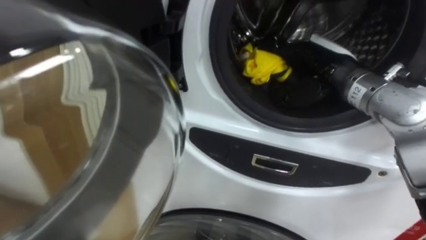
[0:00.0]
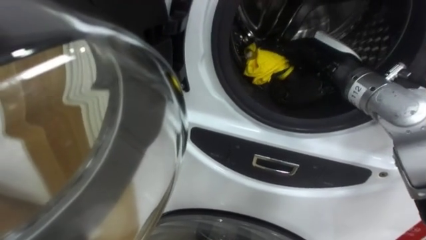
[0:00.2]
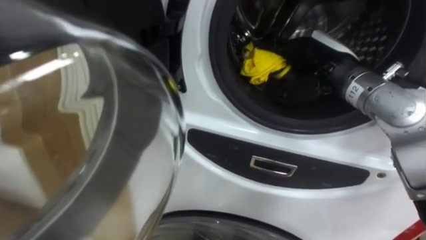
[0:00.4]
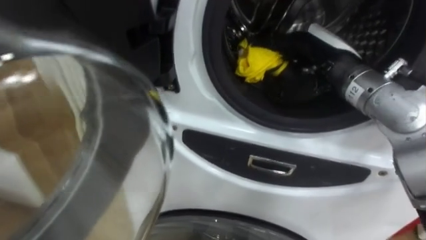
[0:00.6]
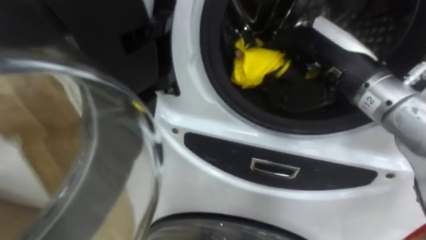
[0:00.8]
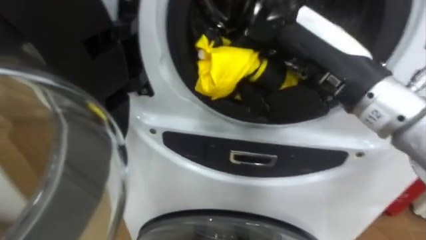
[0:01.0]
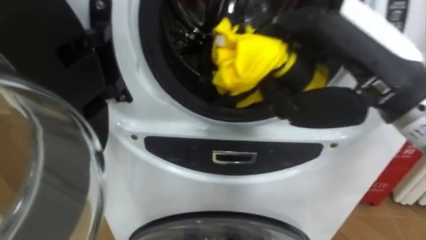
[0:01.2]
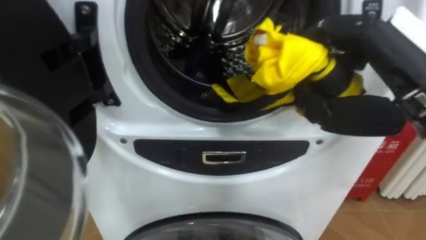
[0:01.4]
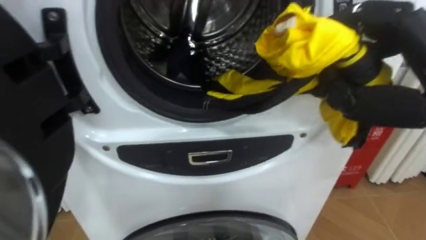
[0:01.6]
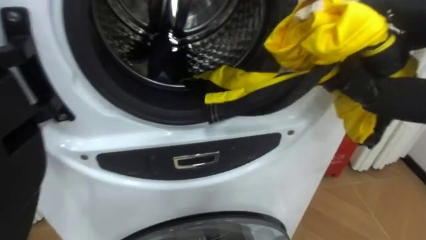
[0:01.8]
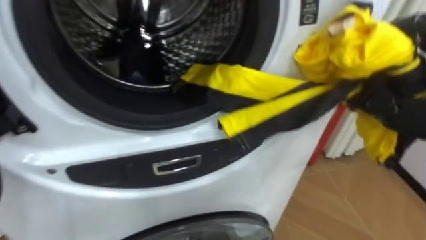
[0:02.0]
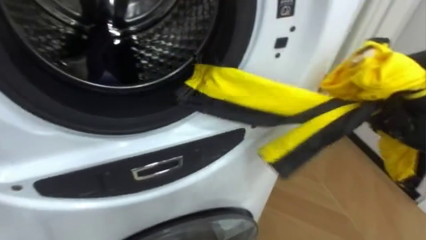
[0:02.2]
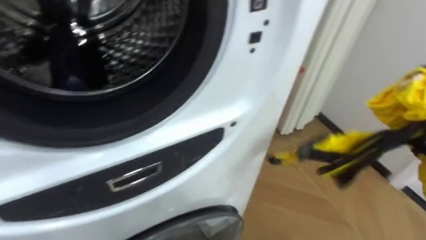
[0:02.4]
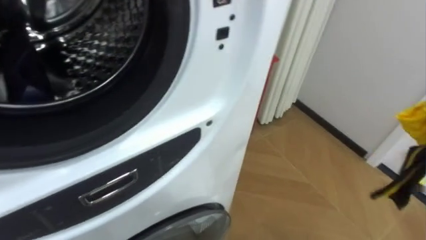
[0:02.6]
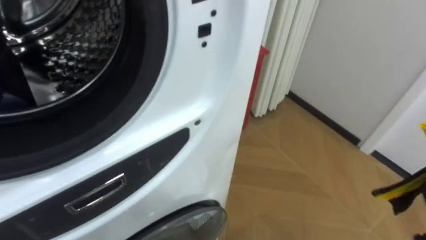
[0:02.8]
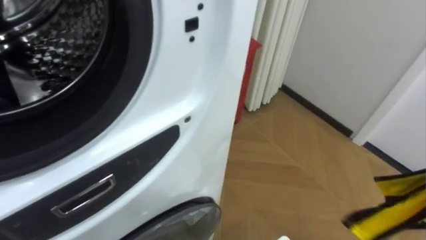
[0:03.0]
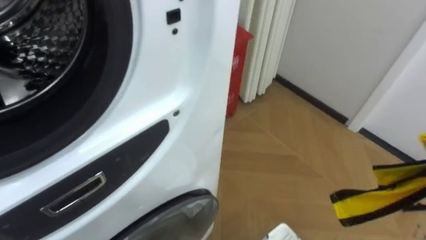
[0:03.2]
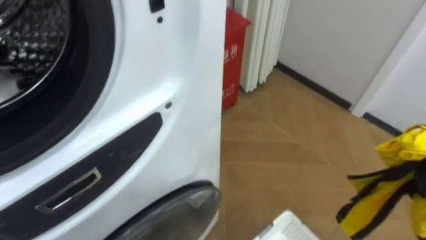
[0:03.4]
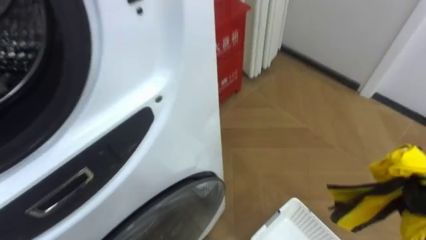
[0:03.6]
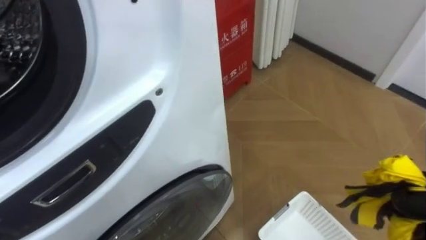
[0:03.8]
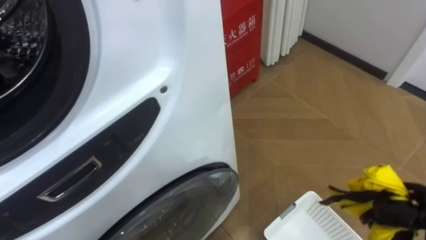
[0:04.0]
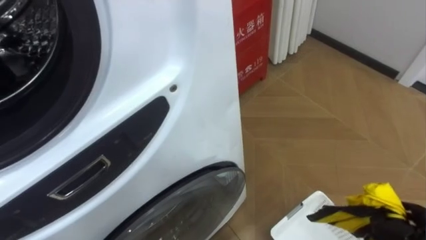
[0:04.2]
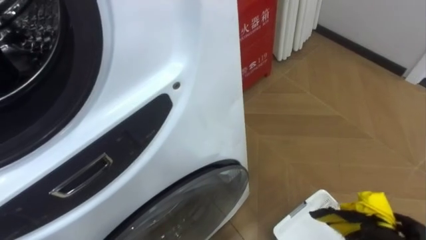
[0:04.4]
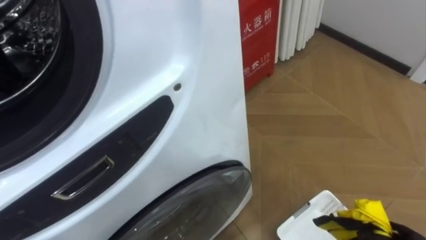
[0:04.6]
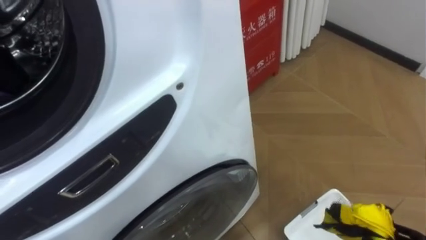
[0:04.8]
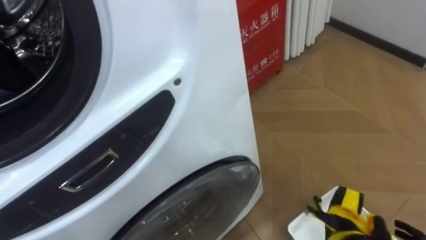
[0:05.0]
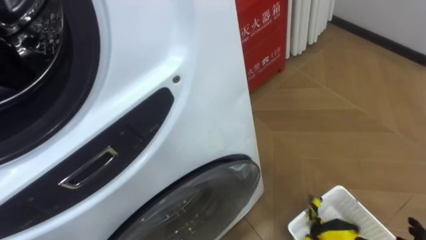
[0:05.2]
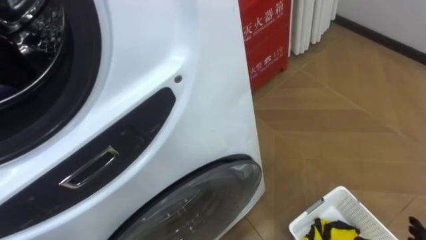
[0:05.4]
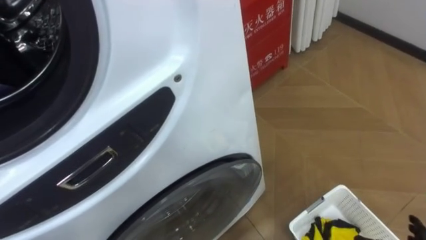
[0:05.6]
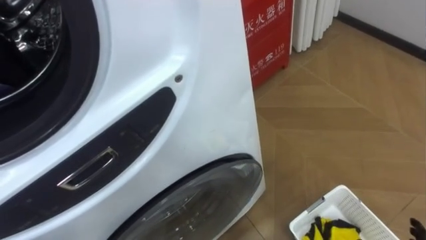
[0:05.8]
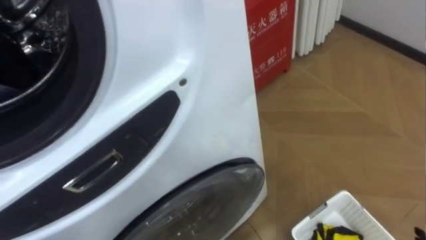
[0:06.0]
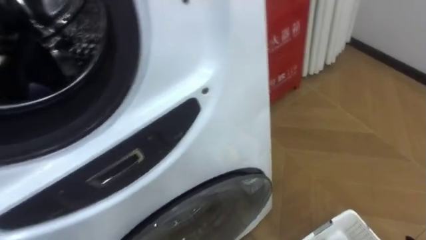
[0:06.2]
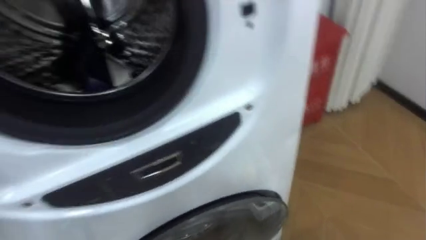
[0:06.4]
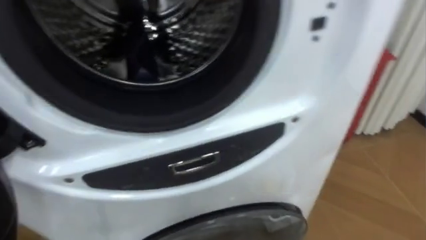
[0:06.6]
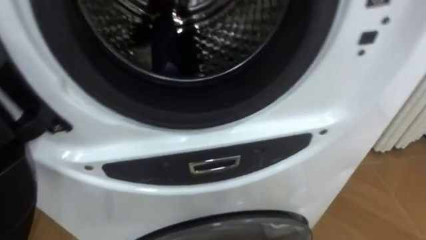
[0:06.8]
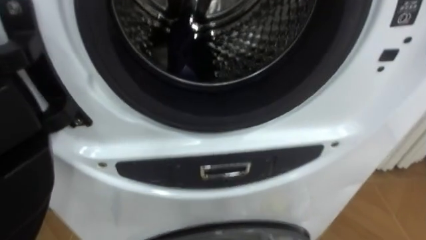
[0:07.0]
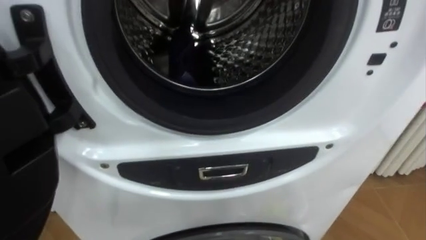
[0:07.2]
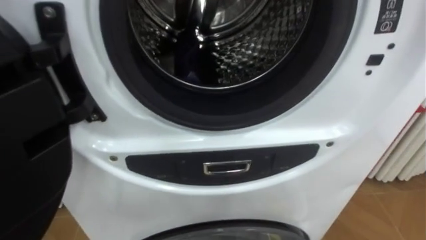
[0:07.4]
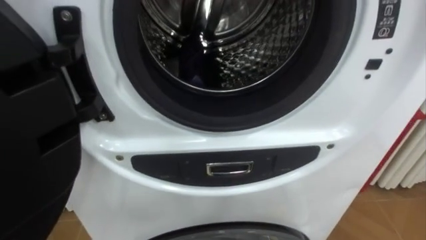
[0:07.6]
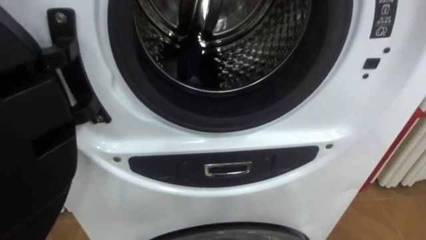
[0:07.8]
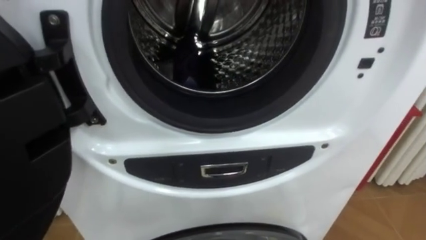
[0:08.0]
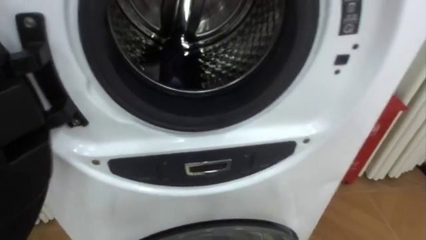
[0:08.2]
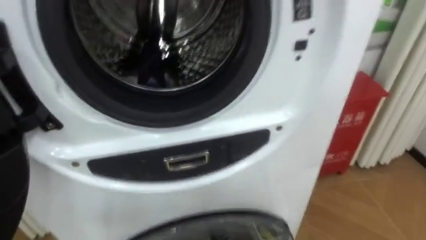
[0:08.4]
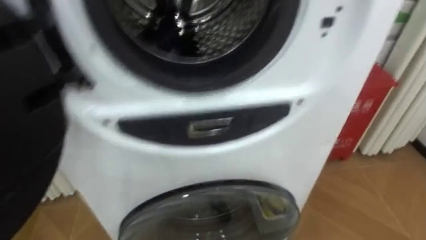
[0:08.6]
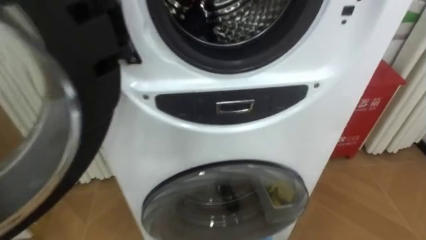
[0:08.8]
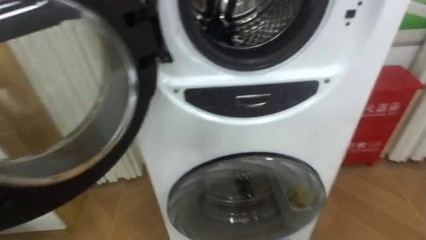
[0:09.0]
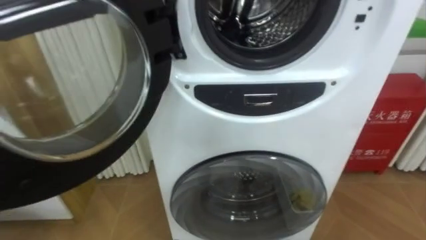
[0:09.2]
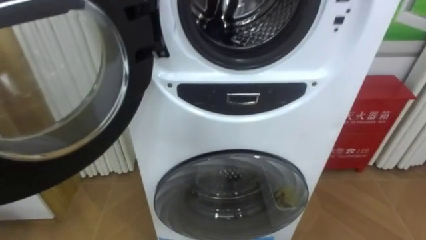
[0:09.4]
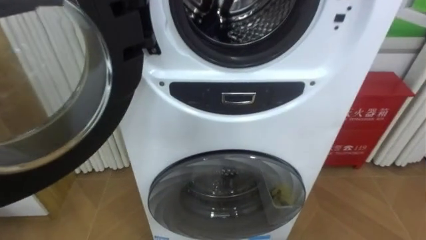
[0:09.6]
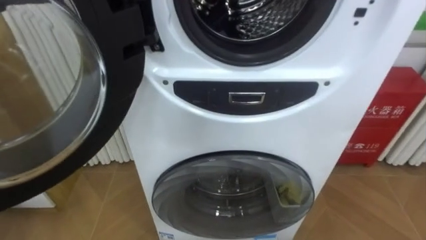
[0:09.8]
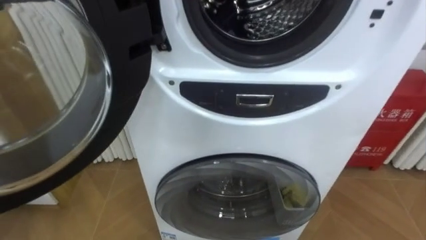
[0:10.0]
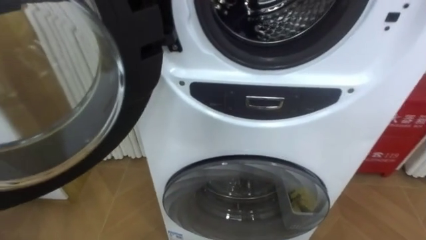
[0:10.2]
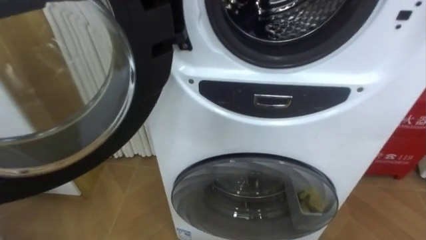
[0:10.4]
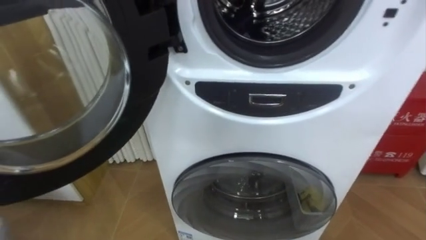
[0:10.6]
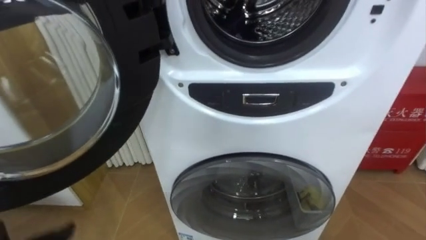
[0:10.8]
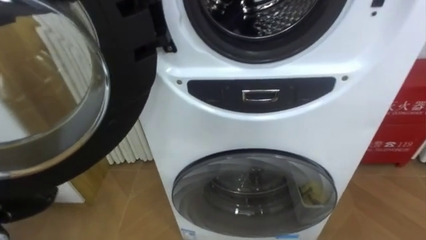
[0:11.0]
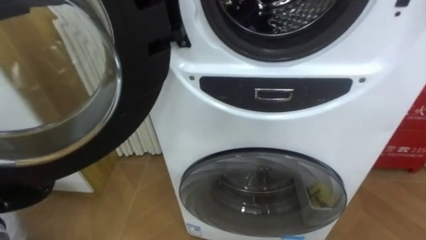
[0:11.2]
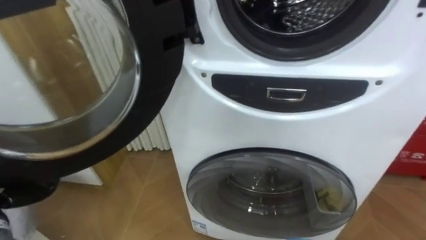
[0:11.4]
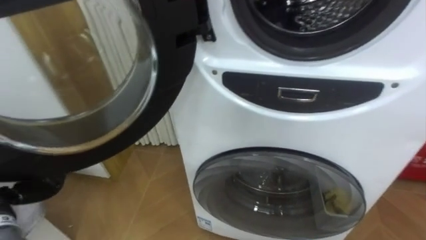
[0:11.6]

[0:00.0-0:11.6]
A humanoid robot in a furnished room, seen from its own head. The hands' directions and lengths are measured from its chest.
Task of the whole recording: Open the washing machine door, take out the yellow clothes, place them in the box on the right, and close the washing machine door.
0:00.0 to 0:01.4: The right hand heads backward and upward, covering about 15 cm.

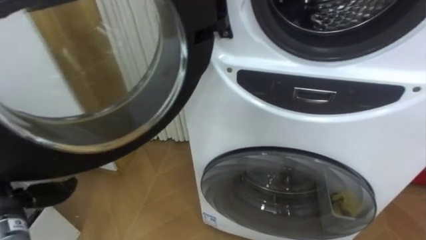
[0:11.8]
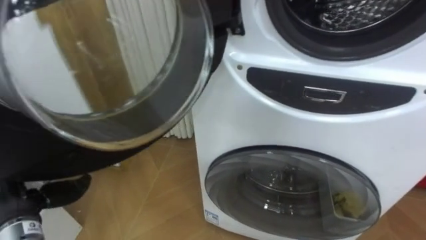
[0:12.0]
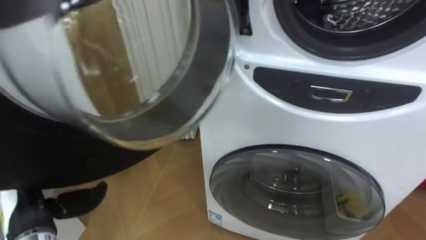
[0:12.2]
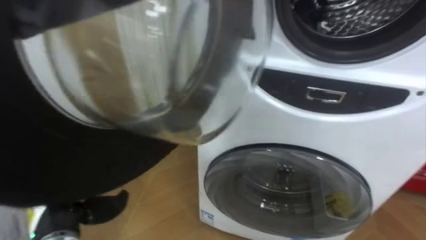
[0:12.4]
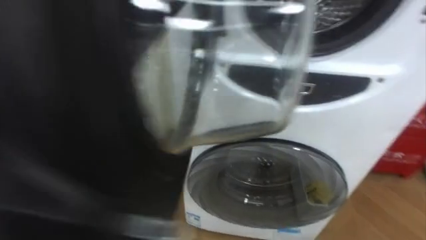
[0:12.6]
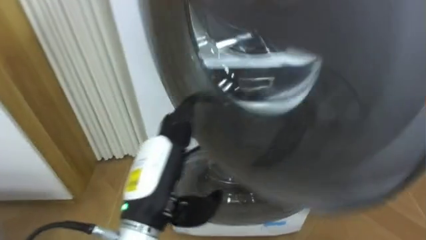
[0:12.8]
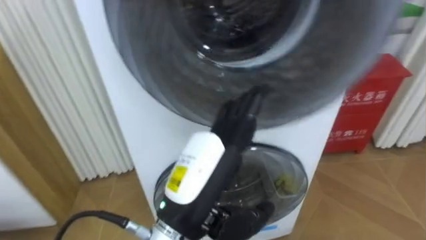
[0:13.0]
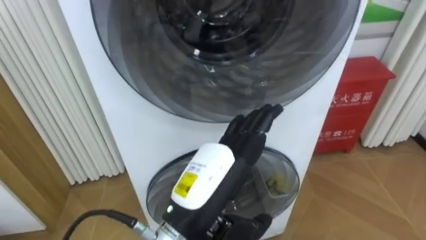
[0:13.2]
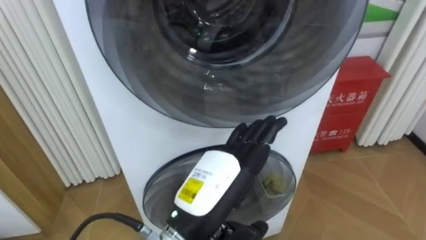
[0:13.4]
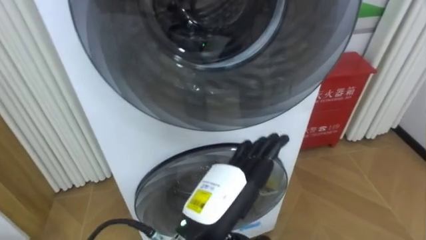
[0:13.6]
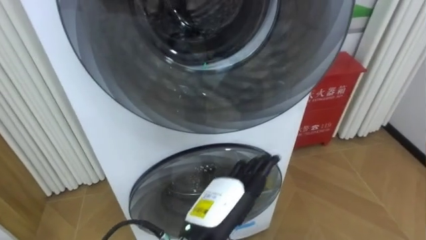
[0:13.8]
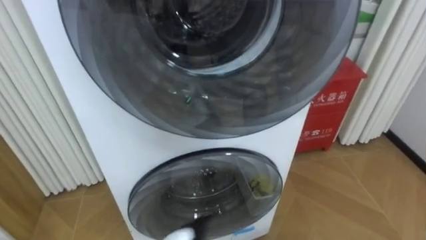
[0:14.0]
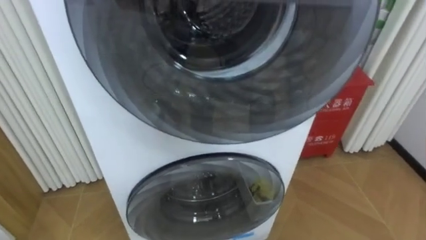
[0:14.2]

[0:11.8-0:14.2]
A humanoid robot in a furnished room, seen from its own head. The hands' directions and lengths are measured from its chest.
Task of the whole recording: Open the washing machine door, take out the yellow clothes, place them in the box on the right, and close the washing machine door.
0:11.8 to 0:13.0: The left hand shifts some 30 cm to the right.

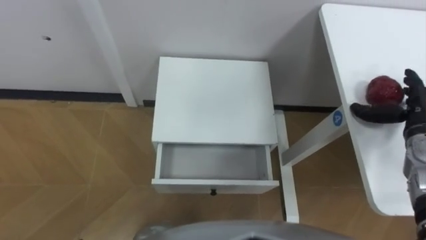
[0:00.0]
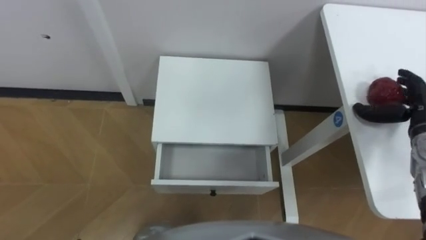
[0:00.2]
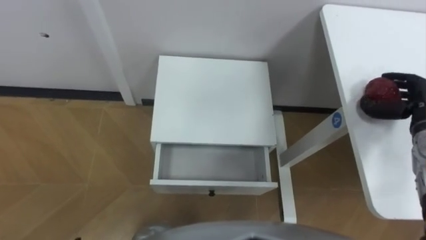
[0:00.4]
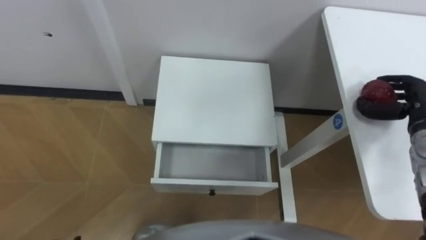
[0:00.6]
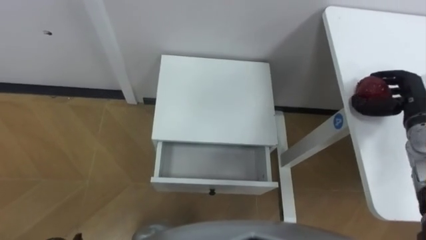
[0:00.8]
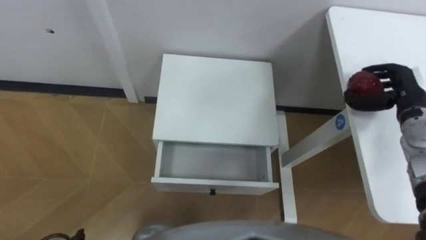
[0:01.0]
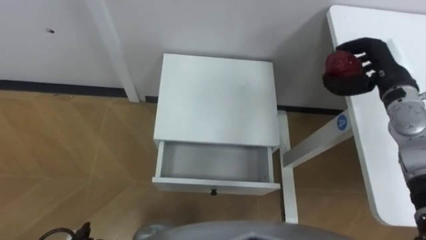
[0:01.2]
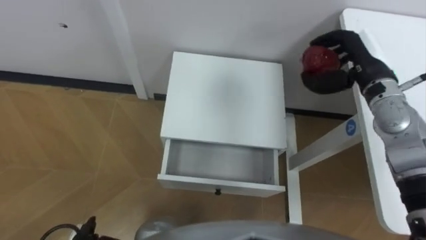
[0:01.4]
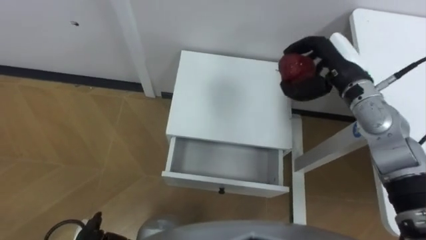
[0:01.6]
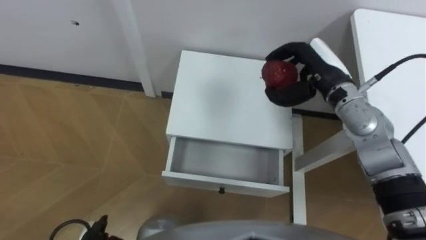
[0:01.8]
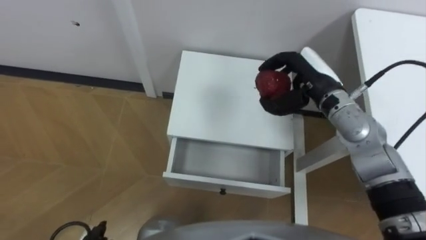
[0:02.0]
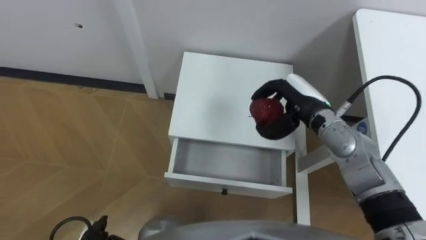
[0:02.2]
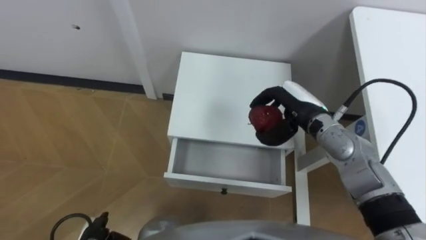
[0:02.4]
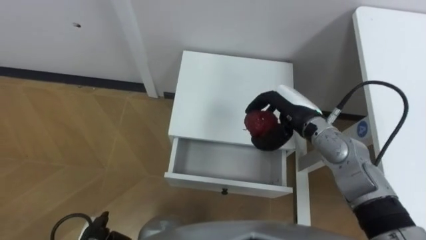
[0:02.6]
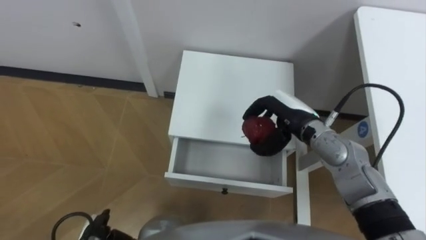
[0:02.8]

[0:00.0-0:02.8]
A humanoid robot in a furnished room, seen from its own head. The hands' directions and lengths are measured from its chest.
Task of the whole recording: Pick up the apple from the table, put it in the drawer, and close the drawer with leg.
0:00.0 to 0:01.4: The right hand goes some 15 cm to the left, upward and forward, and closes up.
0:01.4 to 0:02.8: The right hand travels to the left, downward and backward by some 15 cm.
